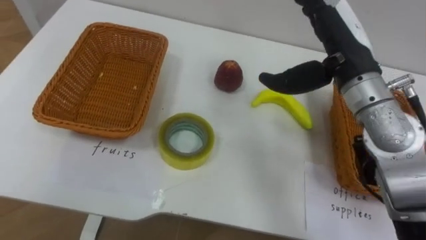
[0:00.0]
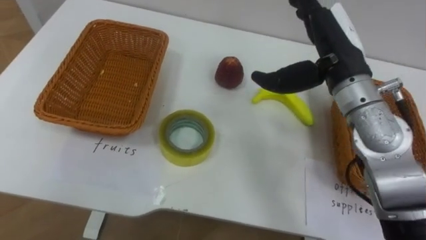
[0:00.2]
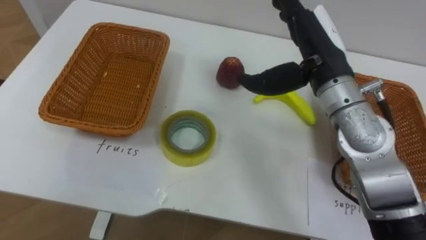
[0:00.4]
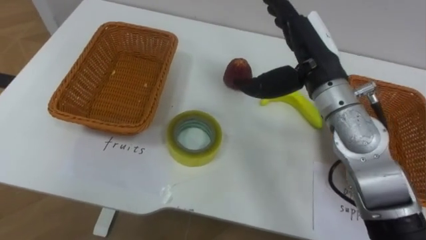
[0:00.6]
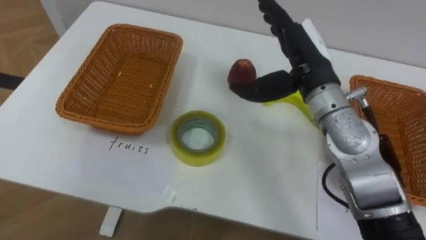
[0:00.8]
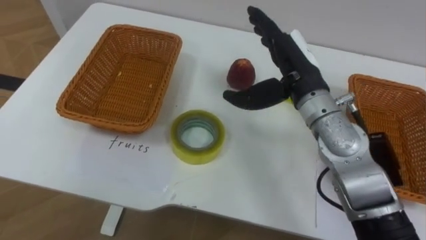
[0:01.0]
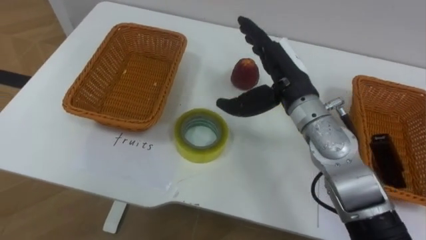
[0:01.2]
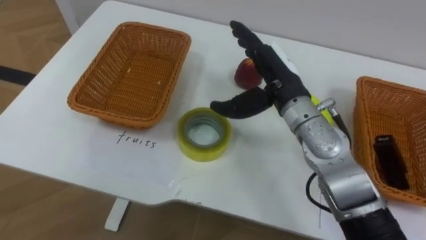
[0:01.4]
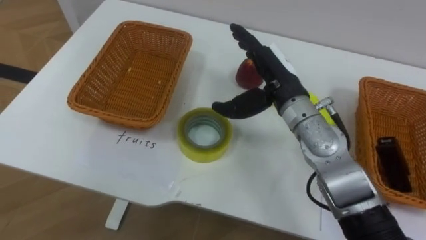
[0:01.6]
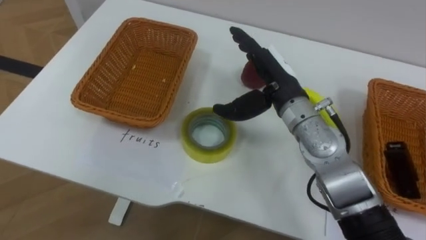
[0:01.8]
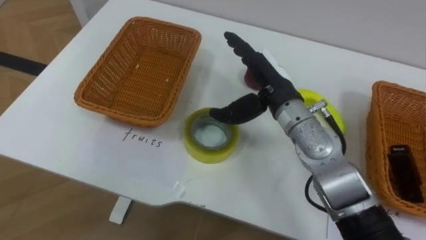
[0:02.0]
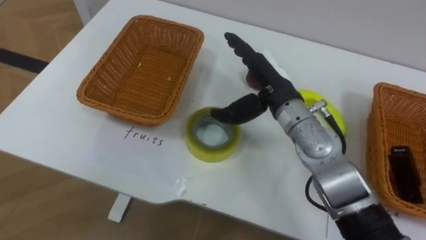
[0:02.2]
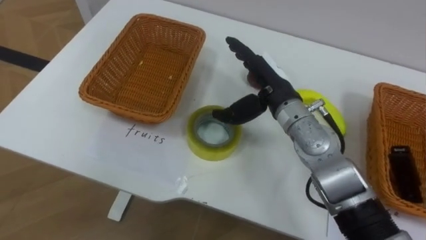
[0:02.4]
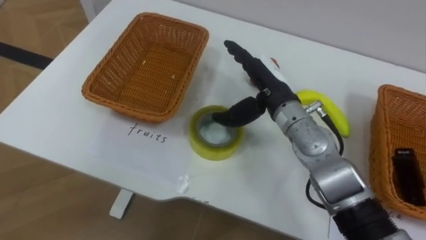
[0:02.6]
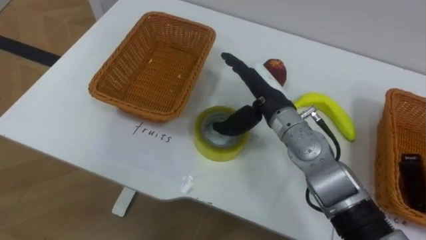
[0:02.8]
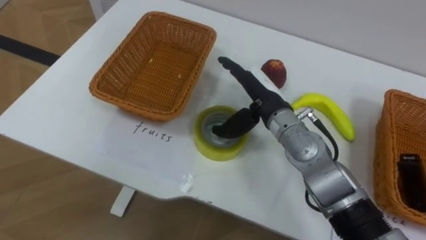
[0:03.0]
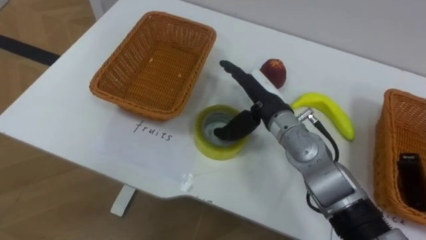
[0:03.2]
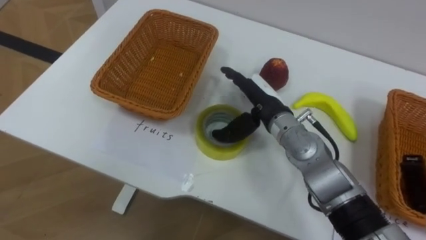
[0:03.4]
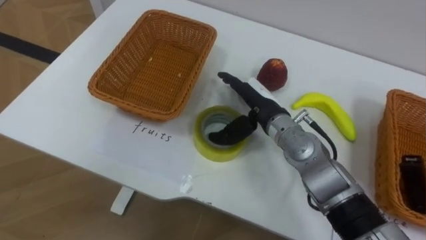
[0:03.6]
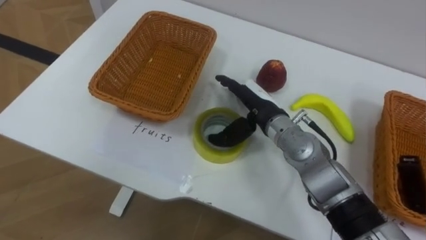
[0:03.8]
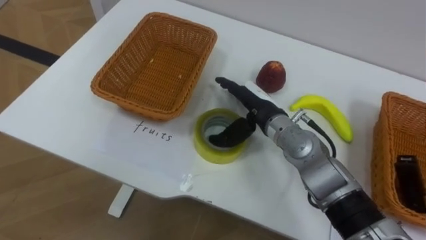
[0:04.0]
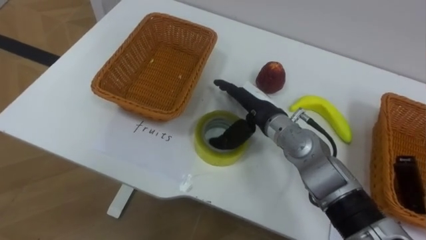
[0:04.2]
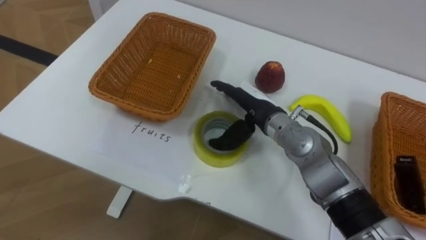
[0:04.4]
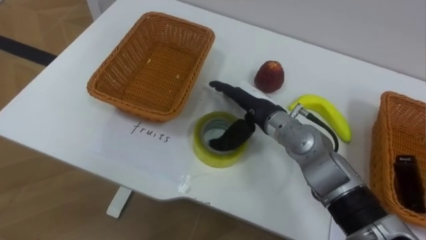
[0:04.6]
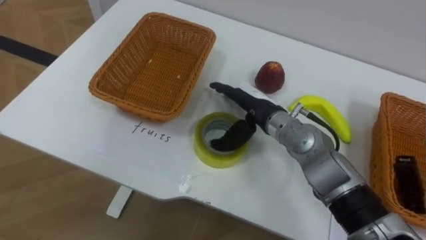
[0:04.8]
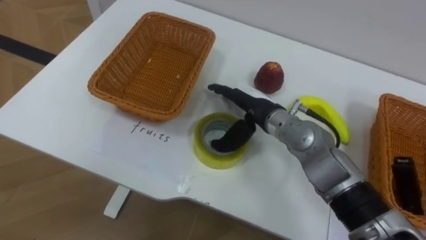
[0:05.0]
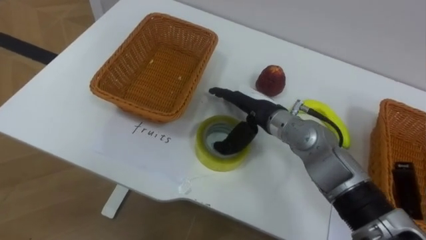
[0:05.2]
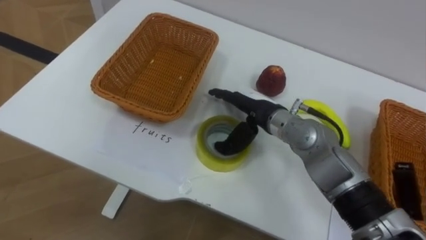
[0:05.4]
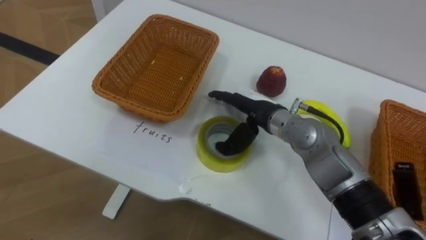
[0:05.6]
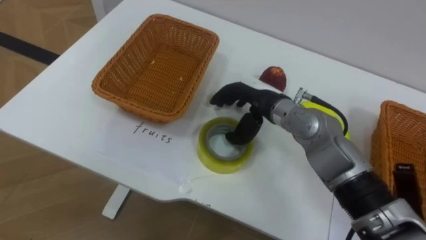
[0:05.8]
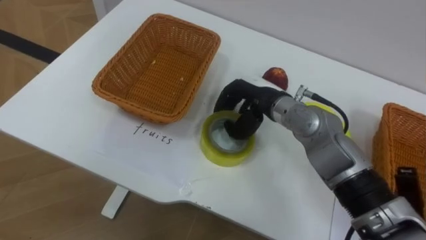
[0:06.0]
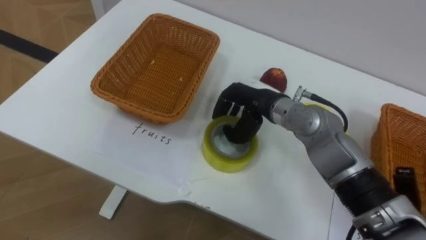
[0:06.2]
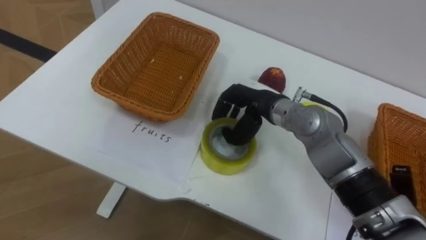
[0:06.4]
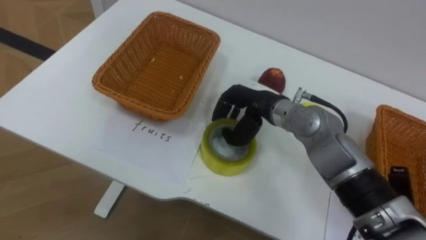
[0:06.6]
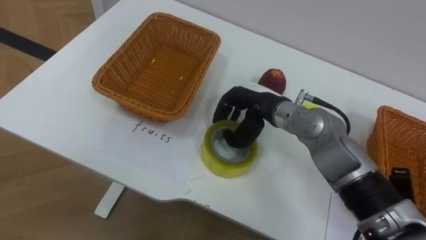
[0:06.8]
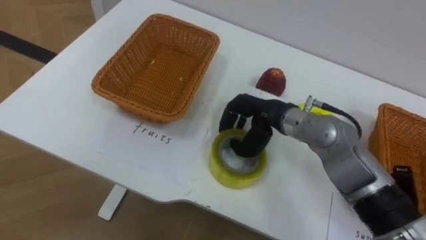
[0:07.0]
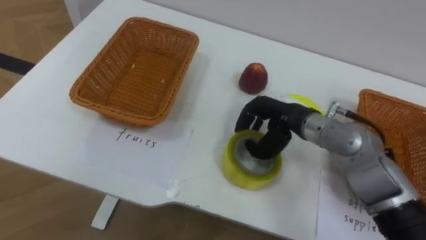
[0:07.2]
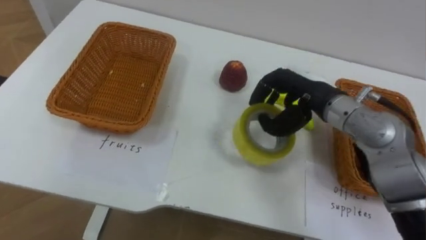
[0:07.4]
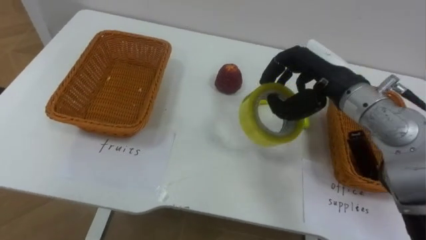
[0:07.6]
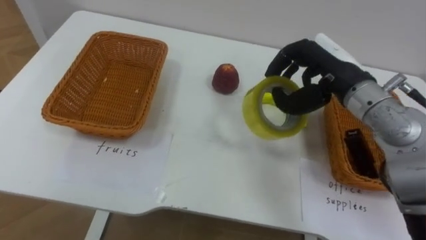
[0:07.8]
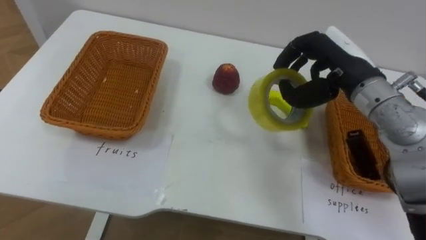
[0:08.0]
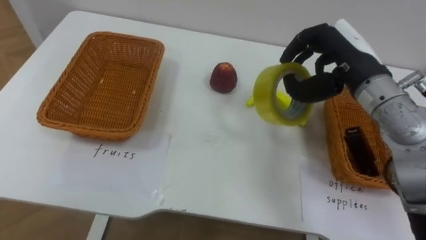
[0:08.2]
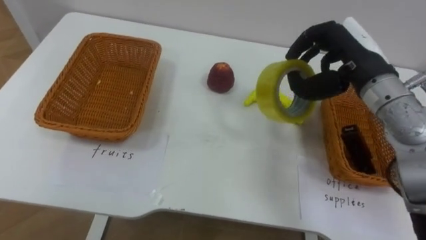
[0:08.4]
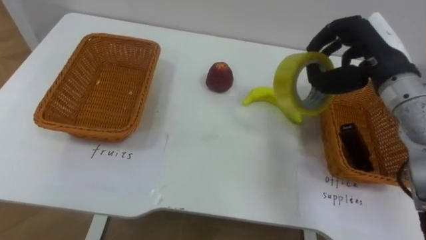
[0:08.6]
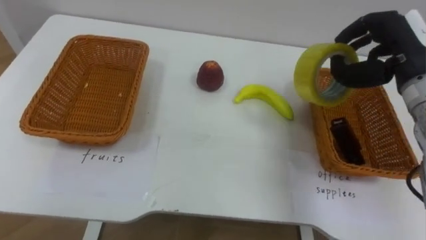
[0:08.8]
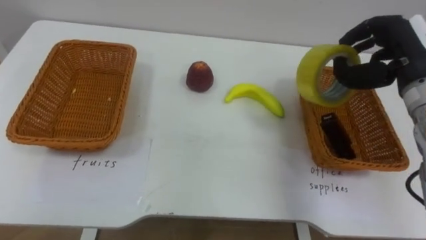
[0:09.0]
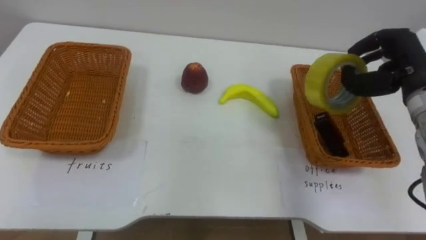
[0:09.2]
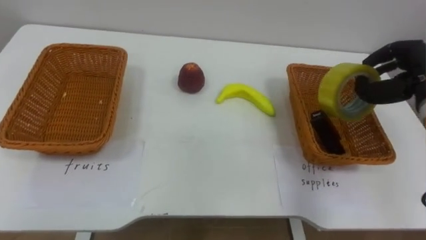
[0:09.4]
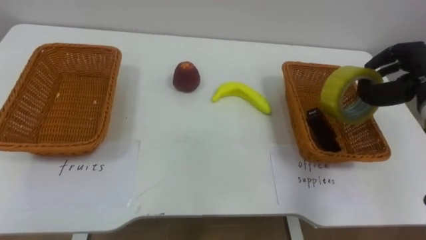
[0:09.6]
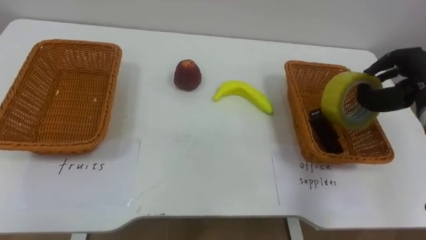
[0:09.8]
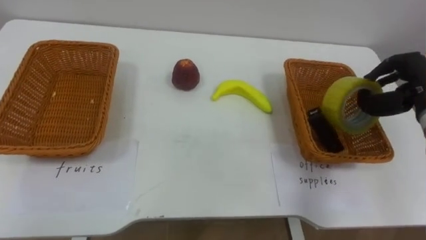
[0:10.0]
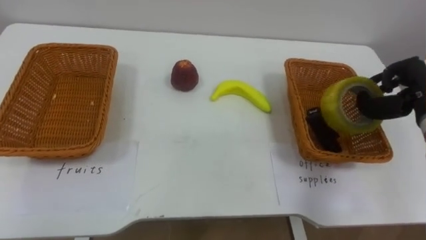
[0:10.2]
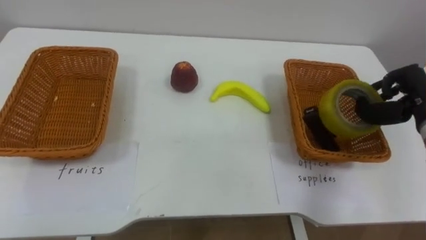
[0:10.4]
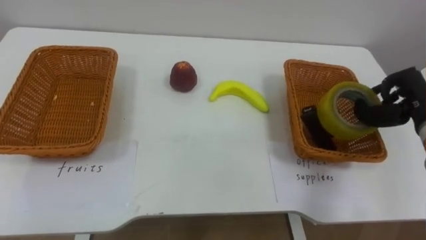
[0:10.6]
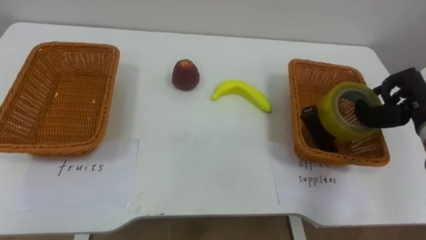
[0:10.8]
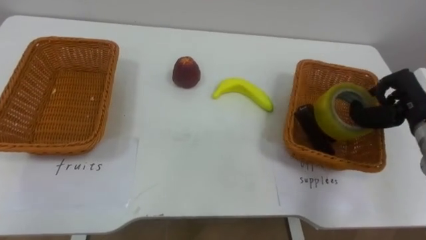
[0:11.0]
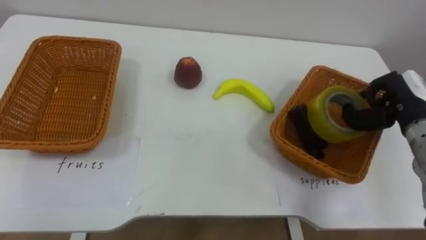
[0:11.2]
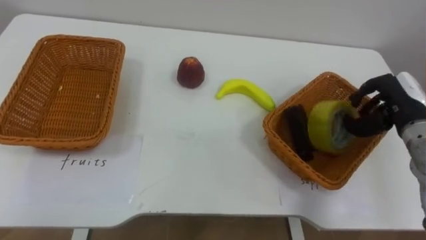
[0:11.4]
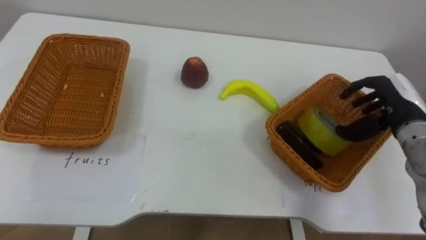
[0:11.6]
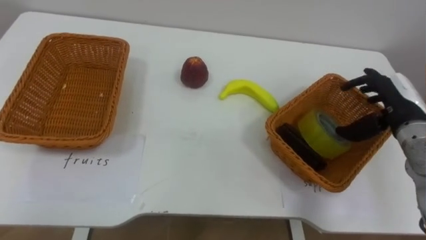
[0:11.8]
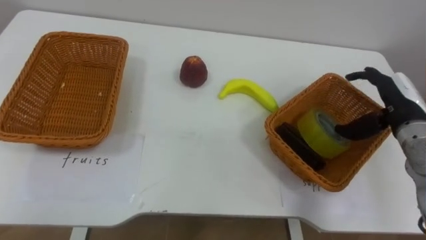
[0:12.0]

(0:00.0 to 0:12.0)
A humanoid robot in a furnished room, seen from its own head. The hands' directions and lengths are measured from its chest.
Task of the whole recording: Separate the items on the table and place them into the two baskets.
0:00.0 - 0:01.6: The right hand goes roughly 10 cm to the left and downward.
0:01.6 - 0:03.0: The right hand changes place by some 5 cm.
0:04.4 - 0:06.0: The right hand closes its fingers.
0:06.0 - 0:07.6: The right hand shifts some 15 cm to the right and upward.
0:07.6 - 0:09.0: The right hand moves to the right, approximately 10 cm.
0:09.0 - 0:10.4: The right hand is displaced downward and to the right by approximately 10 cm.
0:10.4 - 0:12.0: The right hand opens.

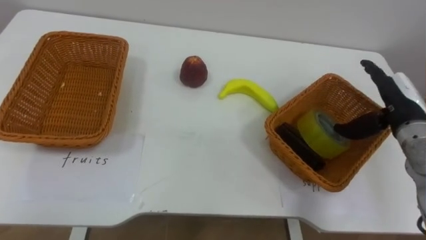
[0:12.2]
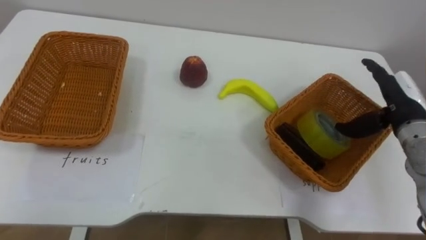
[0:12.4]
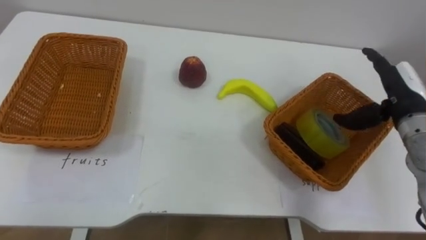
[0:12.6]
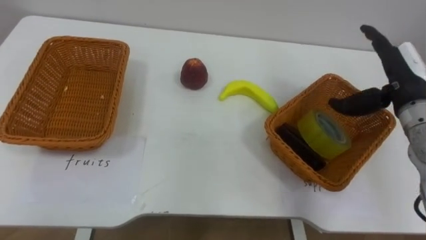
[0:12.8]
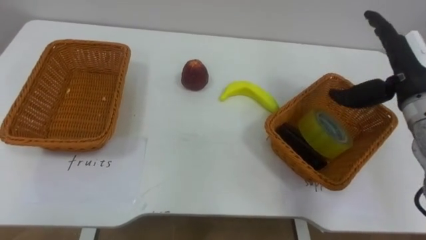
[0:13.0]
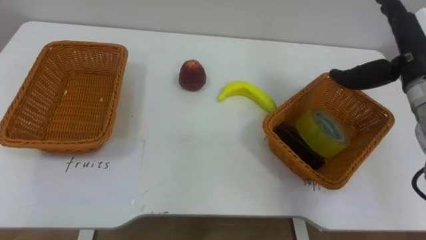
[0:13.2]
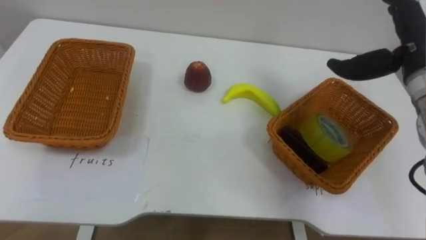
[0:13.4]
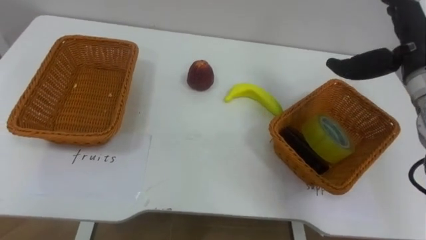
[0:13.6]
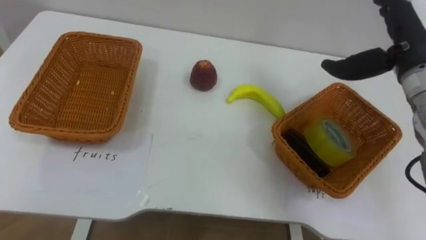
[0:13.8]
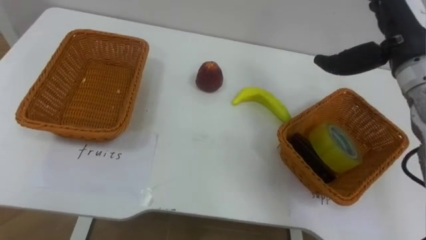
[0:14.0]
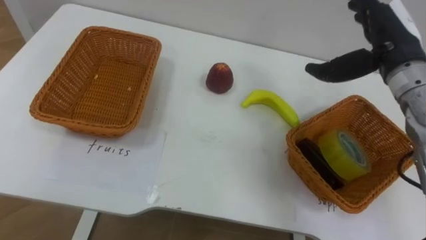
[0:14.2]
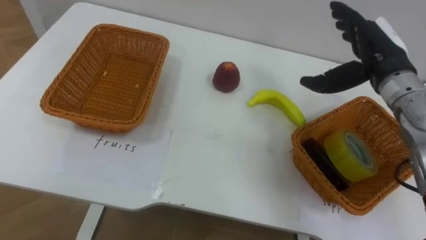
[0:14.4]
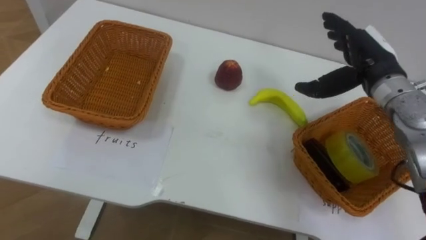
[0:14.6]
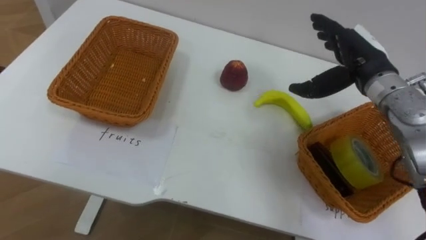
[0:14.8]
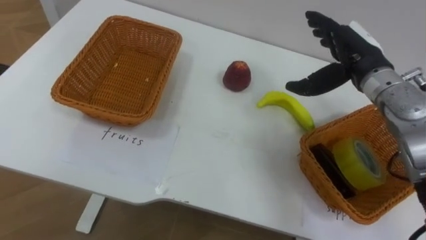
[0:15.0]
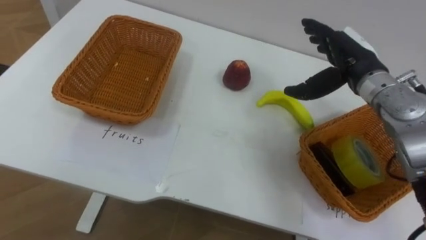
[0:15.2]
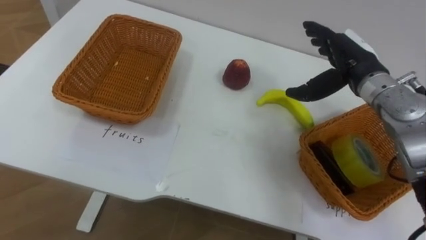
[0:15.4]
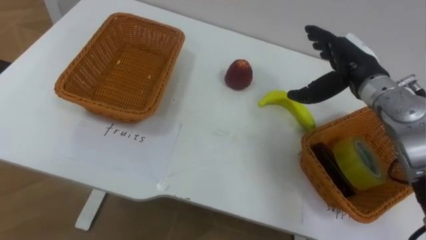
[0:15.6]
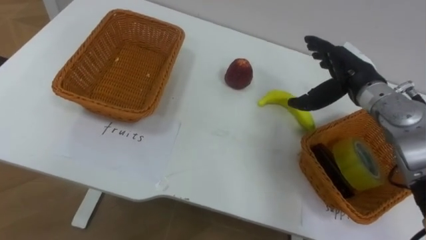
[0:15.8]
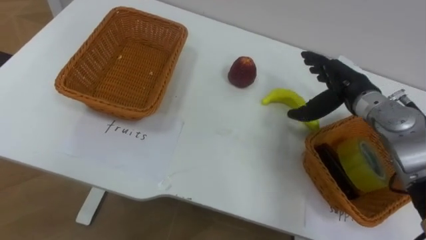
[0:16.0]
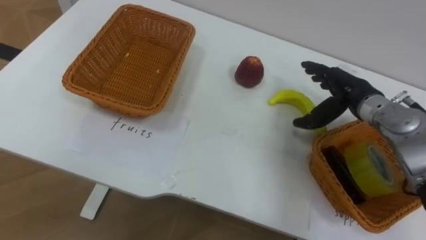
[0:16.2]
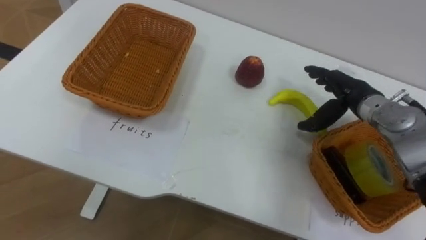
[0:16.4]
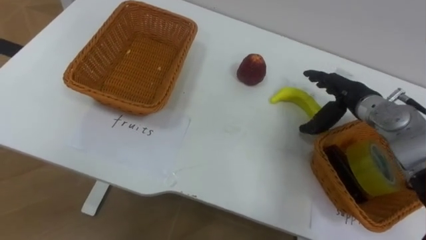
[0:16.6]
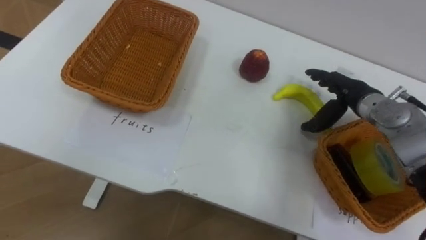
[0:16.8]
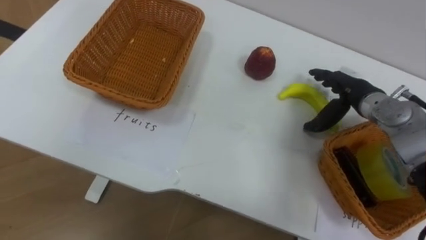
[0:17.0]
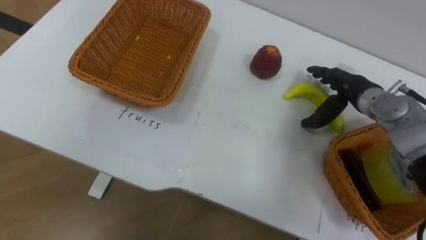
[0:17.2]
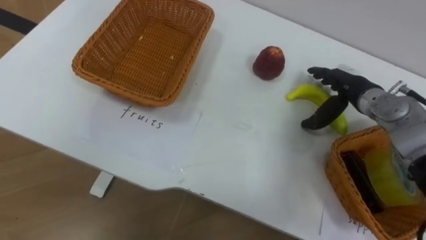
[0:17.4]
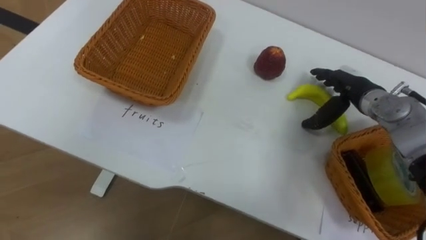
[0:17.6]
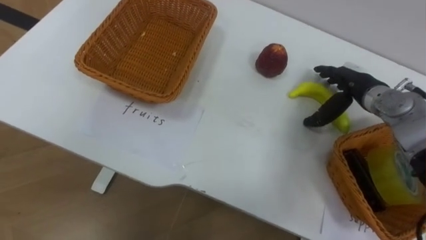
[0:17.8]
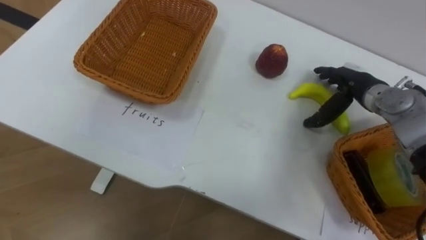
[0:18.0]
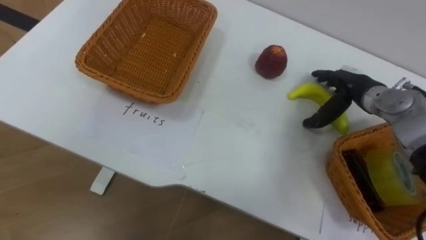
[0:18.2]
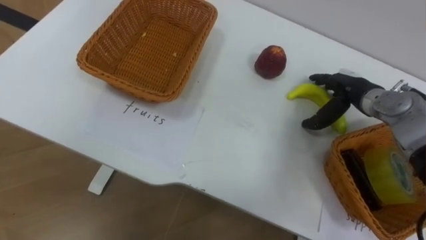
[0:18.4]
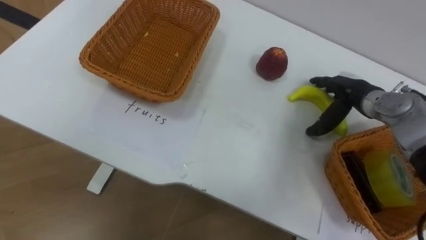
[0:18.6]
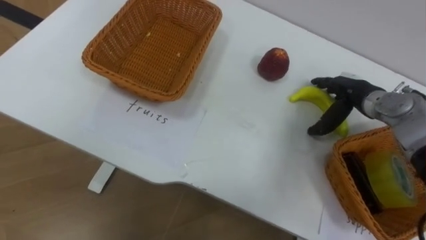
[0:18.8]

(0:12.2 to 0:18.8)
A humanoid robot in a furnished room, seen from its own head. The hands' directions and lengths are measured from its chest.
Task of the whole recording: Separate the items on the table and place them into the two baskets.
0:12.2 - 0:13.8: The right hand heads upward, covering about 10 cm.
0:13.8 - 0:15.4: The right hand heads downward and to the left, covering roughly 10 cm.
0:15.4 - 0:17.2: The right hand shifts approximately 5 cm downward.
